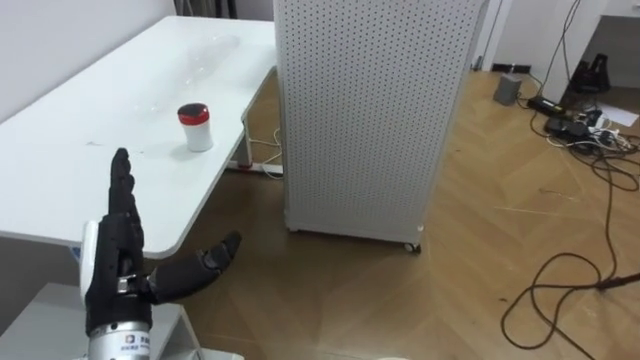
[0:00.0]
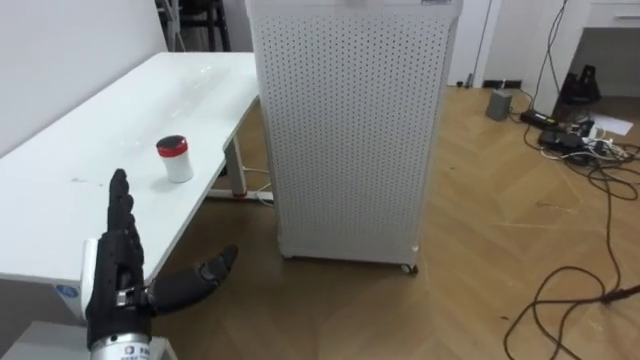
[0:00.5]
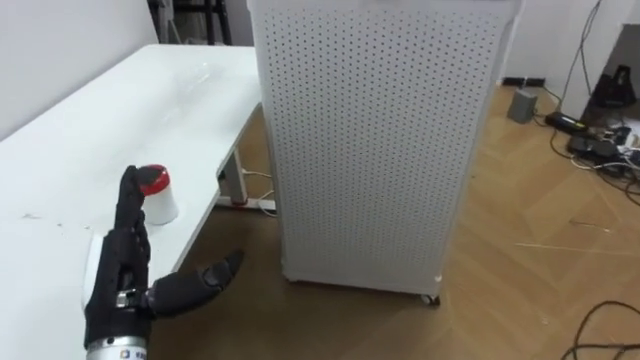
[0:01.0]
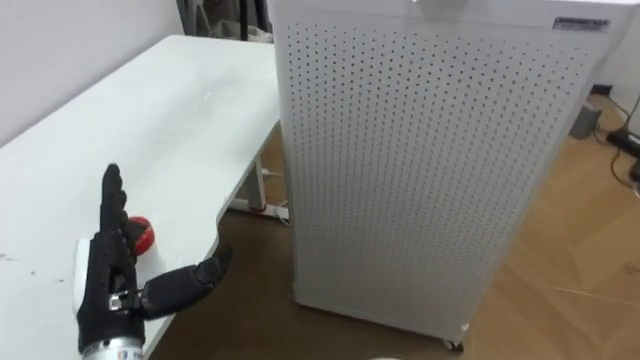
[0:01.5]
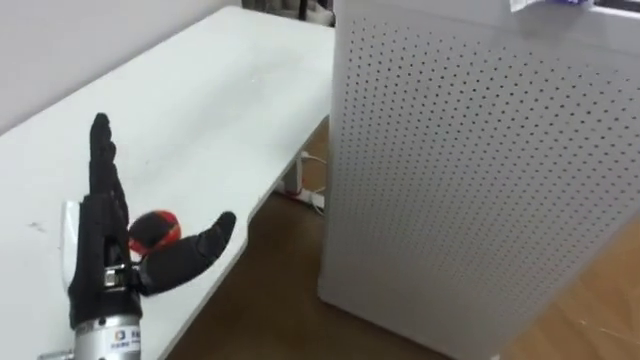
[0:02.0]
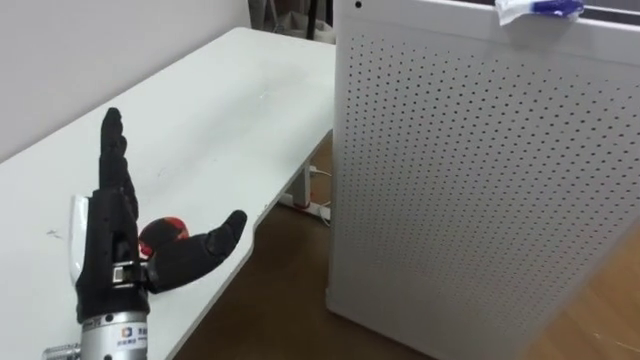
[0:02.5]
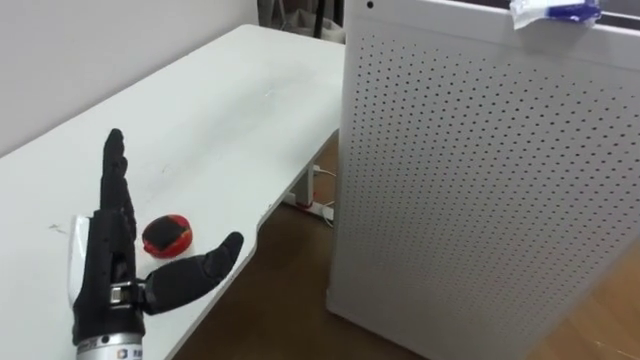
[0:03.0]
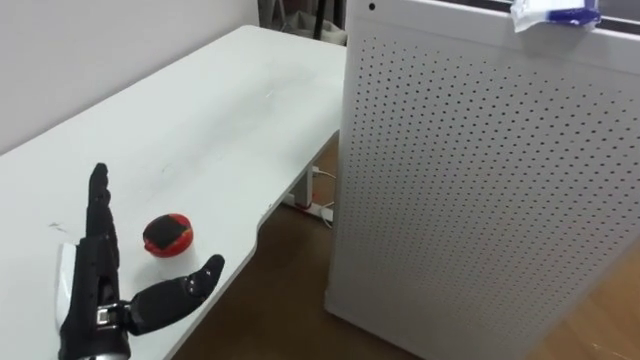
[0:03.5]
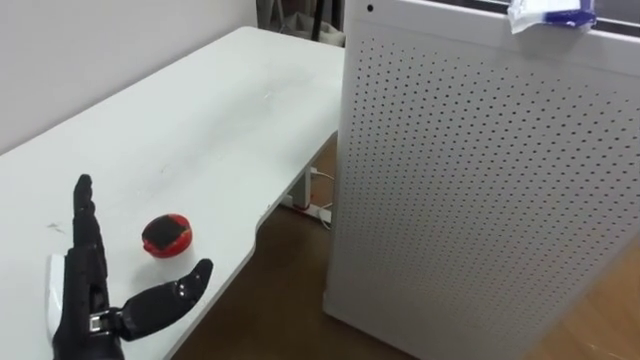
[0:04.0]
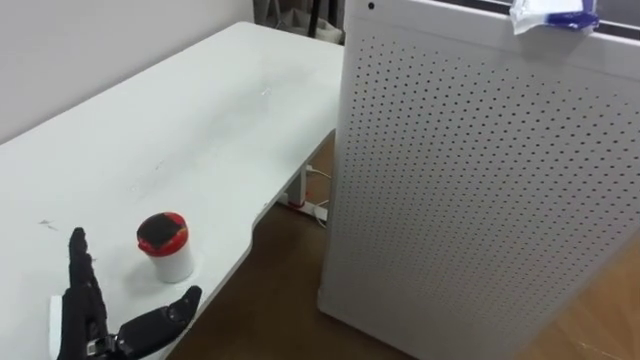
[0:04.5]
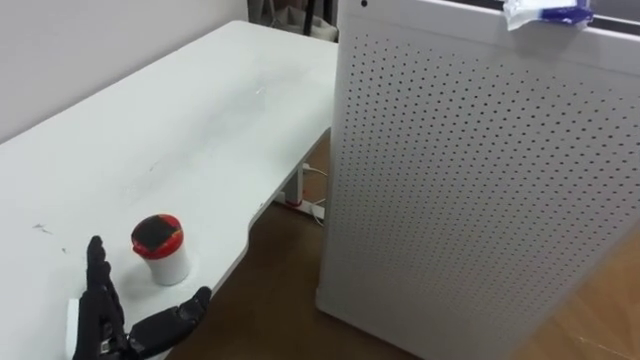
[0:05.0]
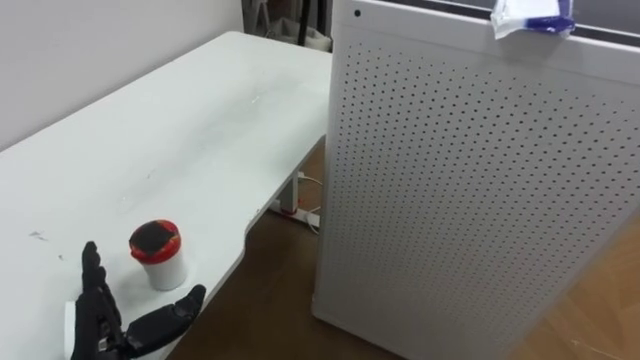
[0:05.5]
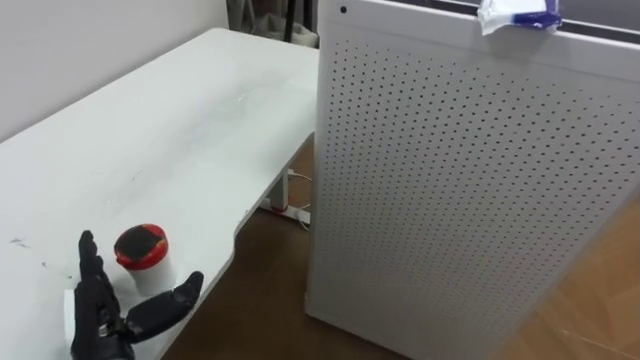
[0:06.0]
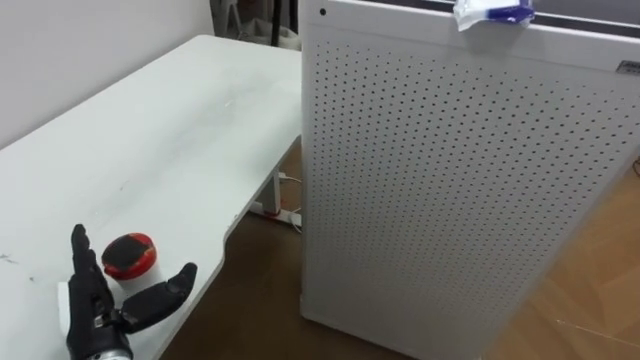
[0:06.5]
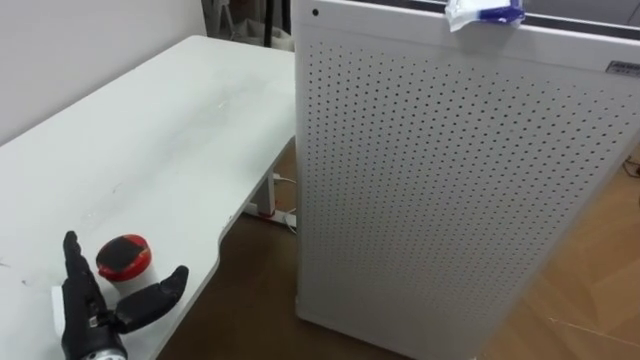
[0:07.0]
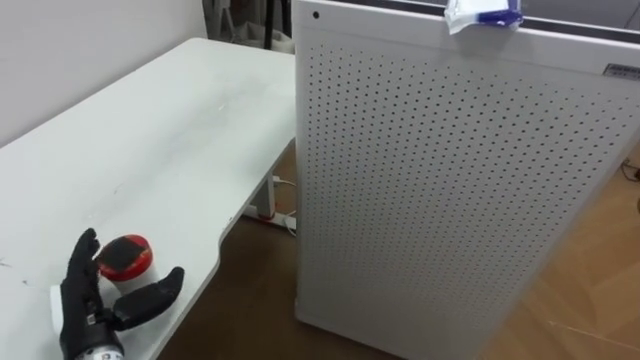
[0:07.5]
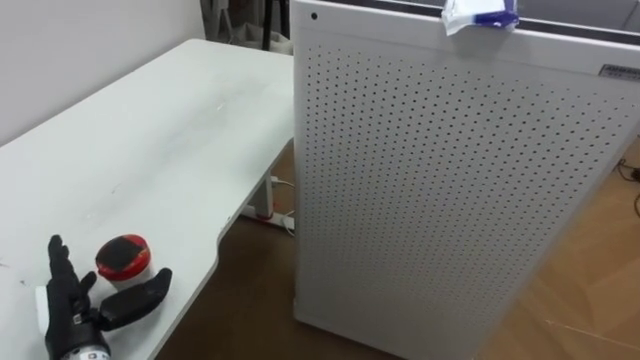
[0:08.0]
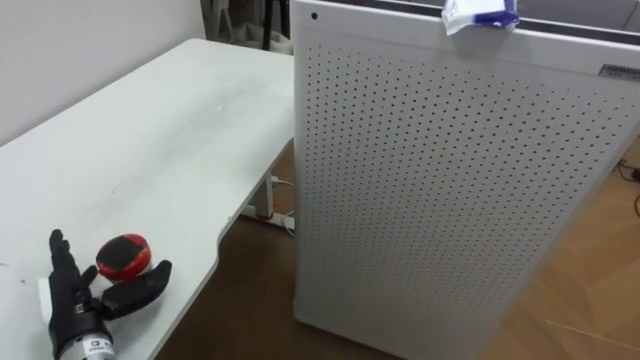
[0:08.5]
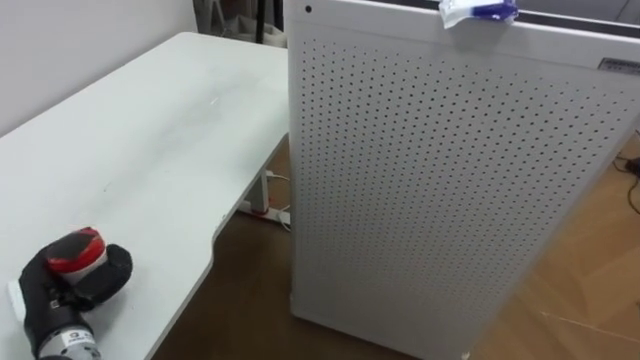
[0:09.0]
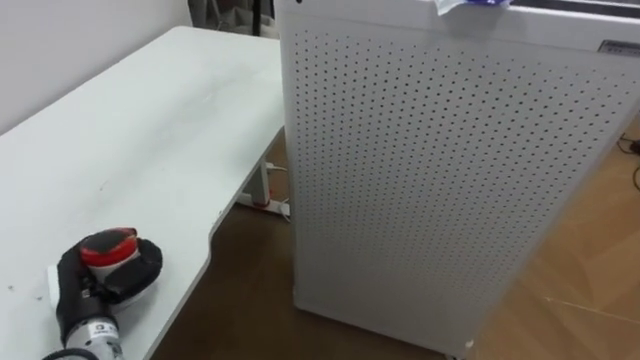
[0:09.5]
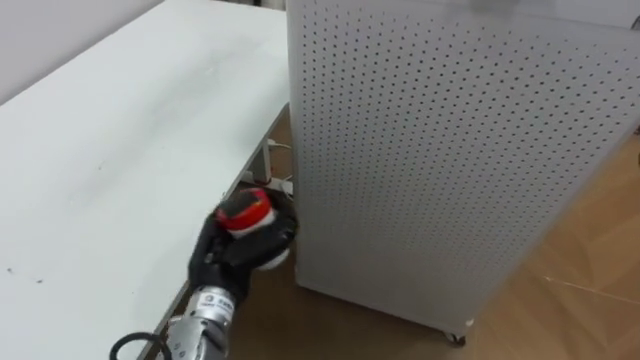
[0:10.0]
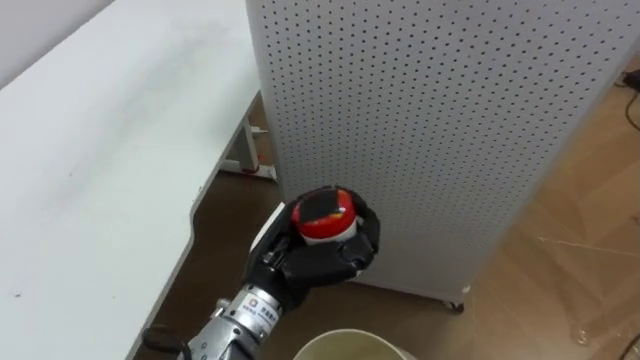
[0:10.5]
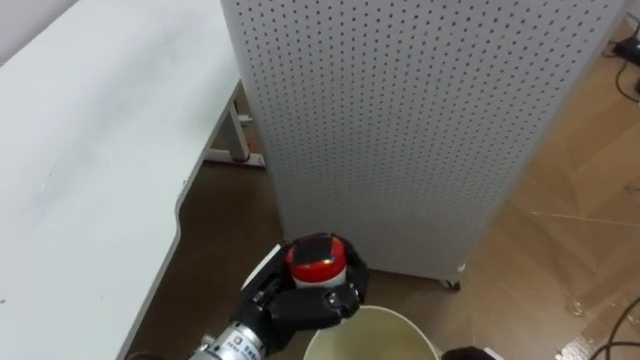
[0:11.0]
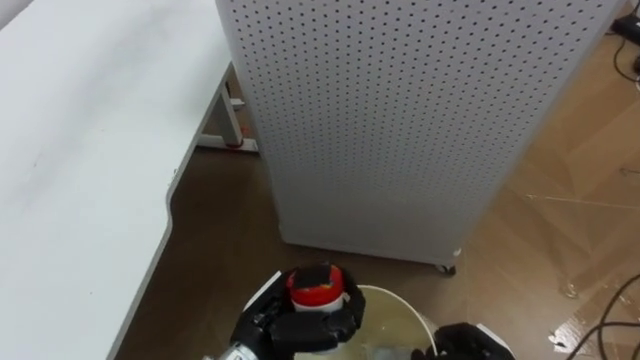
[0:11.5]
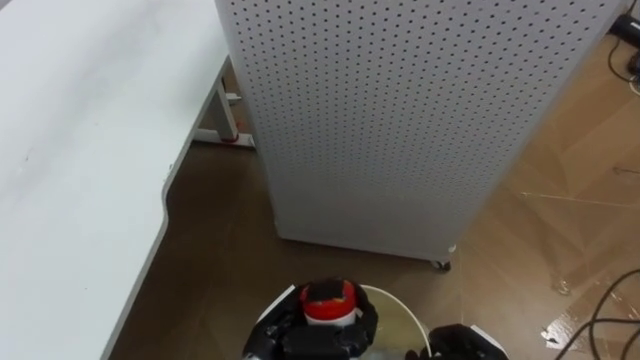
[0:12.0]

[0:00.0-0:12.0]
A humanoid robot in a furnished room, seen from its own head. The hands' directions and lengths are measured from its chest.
Task of the whole recording: Pick up the light blue package, the candy box, and the dark blue package separately, and put them into the trash can held in your right hand.
0:02.0 to 0:04.0: The left hand shifts by roughly 5 cm.
0:04.0 to 0:06.0: The left hand goes roughly 10 cm downward.
0:08.0 to 0:10.0: The left hand goes about 15 cm to the right and forward, and closes up.
0:10.0 to 0:12.0: The left hand moves to the right and backward, approximately 10 cm.

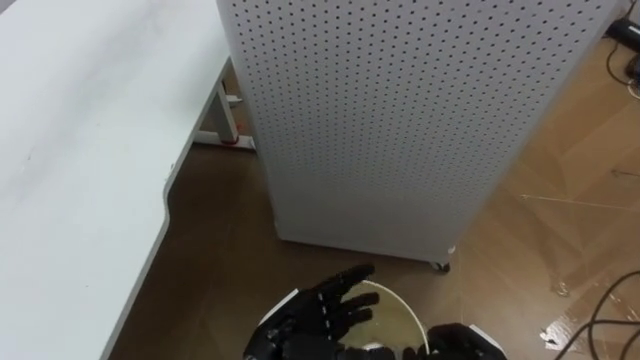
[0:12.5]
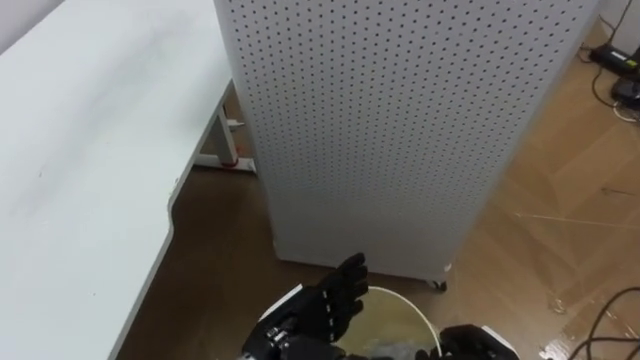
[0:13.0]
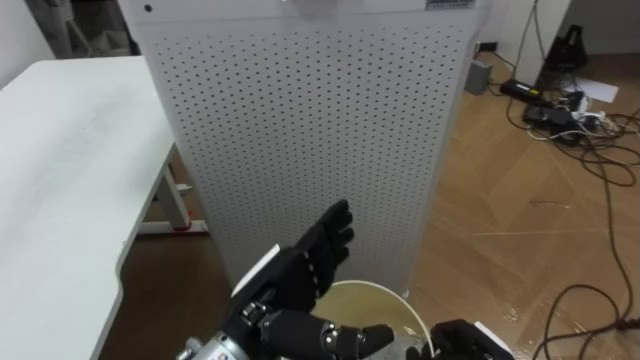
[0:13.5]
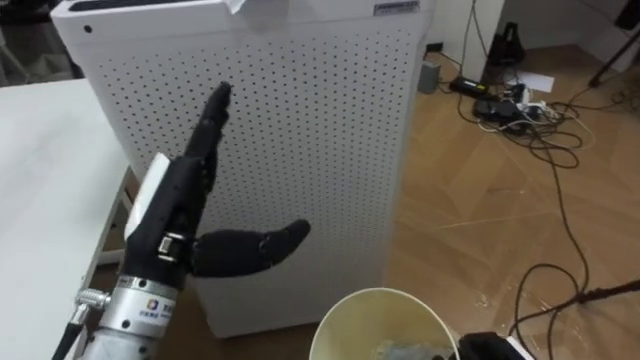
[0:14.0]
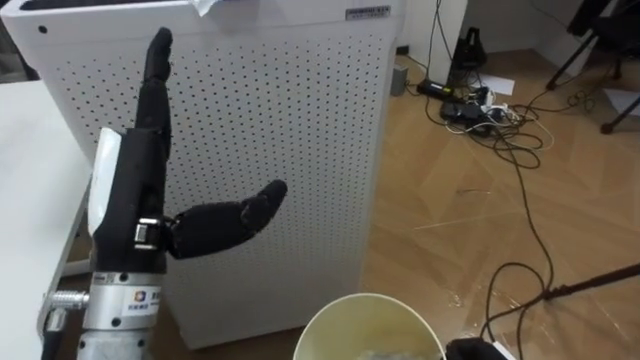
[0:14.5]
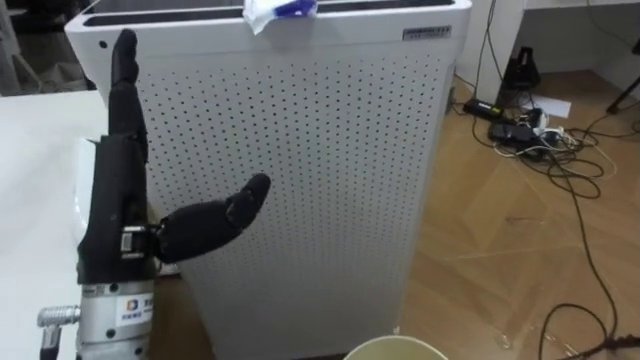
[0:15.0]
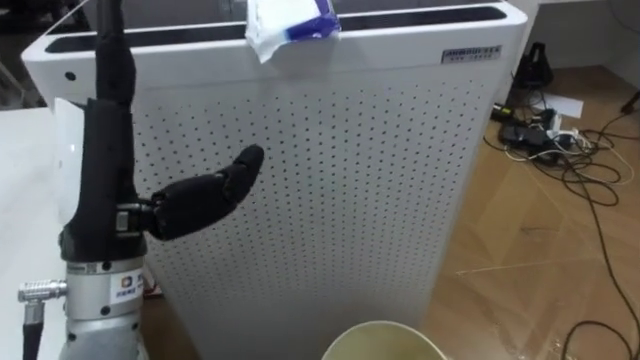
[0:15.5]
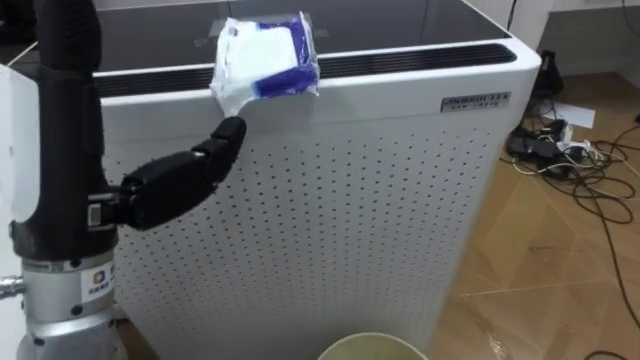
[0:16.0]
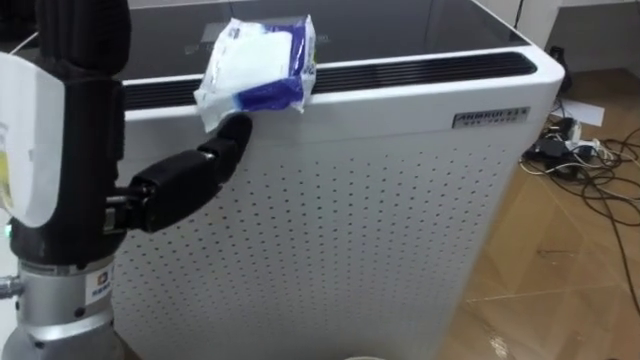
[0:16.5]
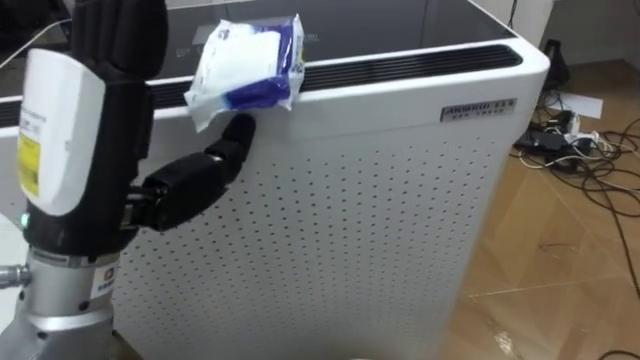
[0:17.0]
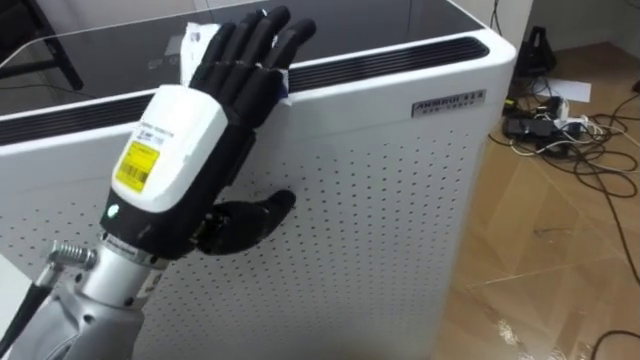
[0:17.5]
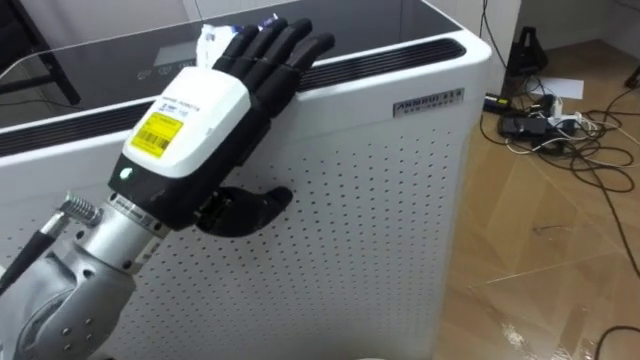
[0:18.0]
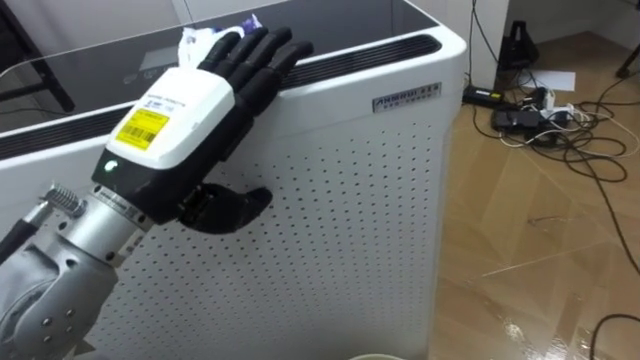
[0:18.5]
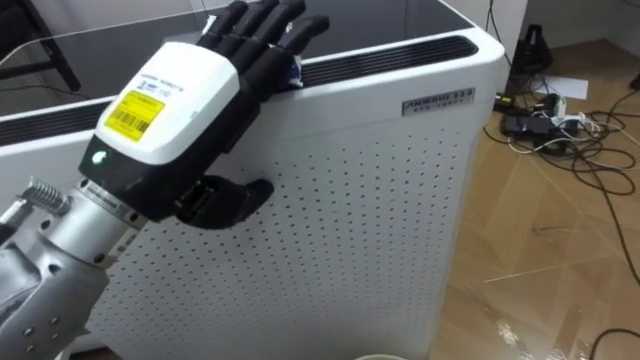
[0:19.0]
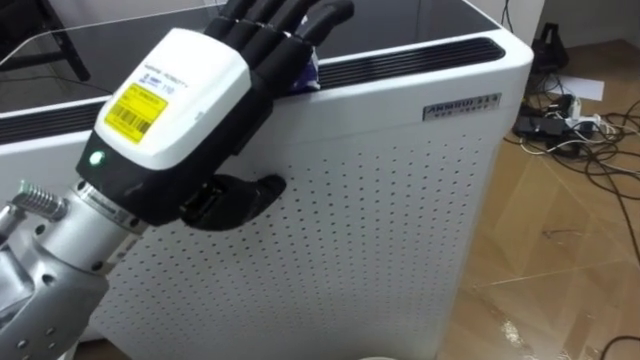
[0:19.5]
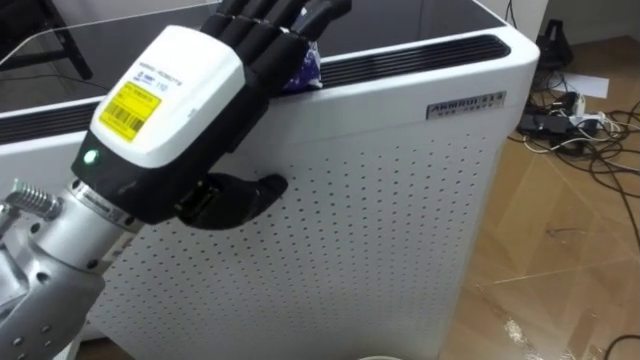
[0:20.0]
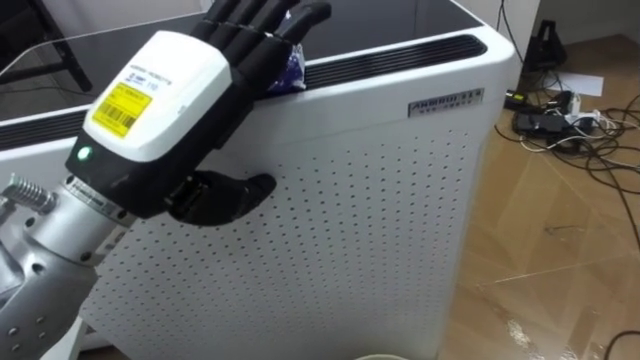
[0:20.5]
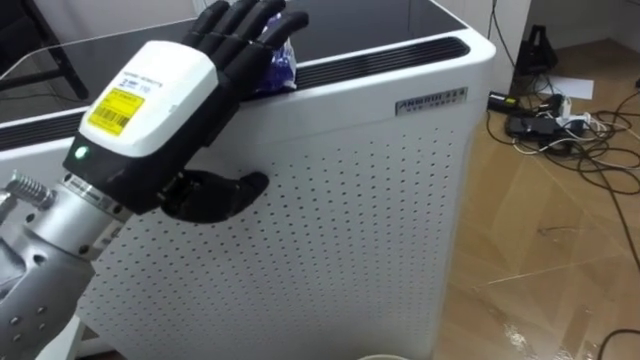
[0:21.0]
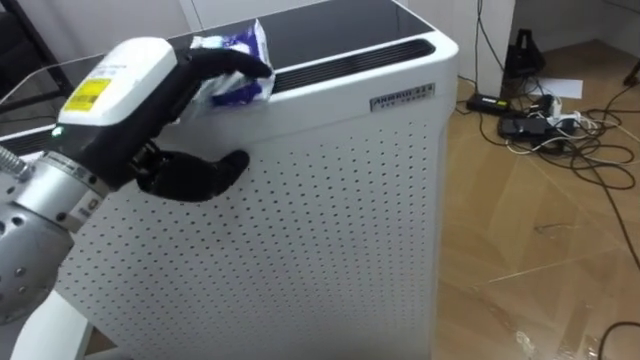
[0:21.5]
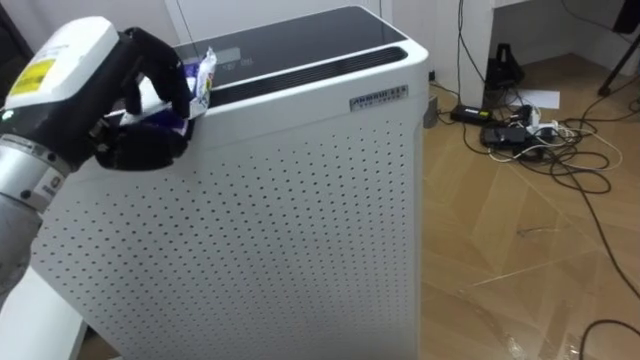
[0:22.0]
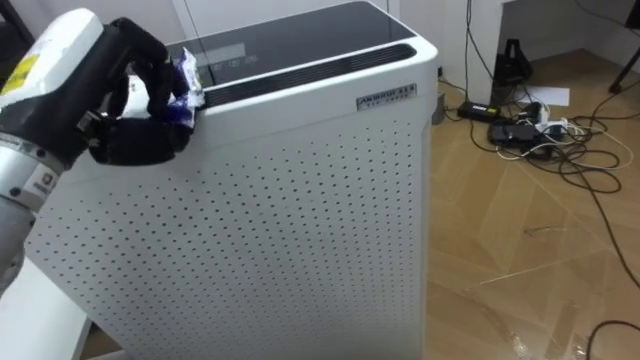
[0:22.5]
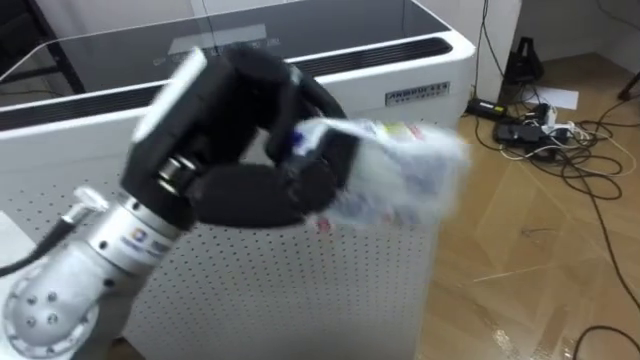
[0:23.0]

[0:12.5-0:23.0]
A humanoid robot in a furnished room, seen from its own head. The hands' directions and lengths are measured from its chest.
Task of the whole recording: Pick up the light blue package, the candy box, and the dark blue package separately, and put them into the trash can held in your right hand.
0:12.5 to 0:14.5: The robot's body swings about 25 degrees to its right. The left hand goes about 25 cm upward and to the left.
0:14.5 to 0:16.5: The left hand heads upward, covering about 10 cm.
0:16.5 to 0:19.0: The left hand ends up approximately 5 cm from where it was.
0:21.0 to 0:23.0: The left hand goes to the left and returns, about 10 cm each way, and closes.
